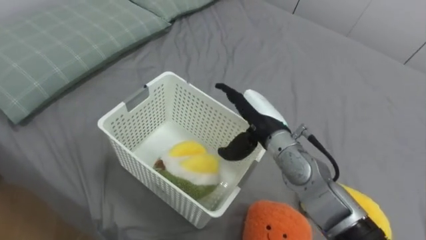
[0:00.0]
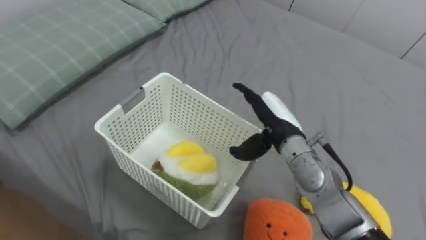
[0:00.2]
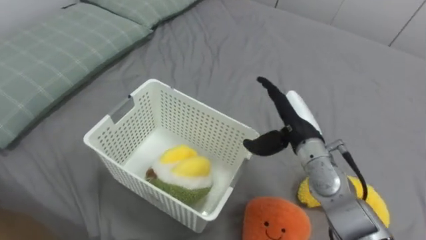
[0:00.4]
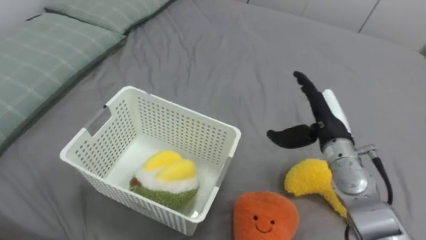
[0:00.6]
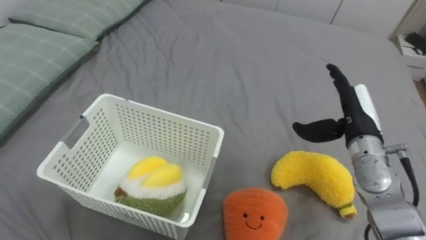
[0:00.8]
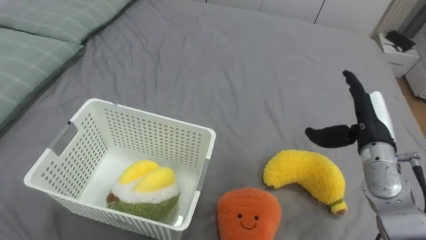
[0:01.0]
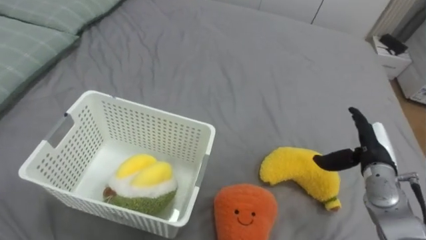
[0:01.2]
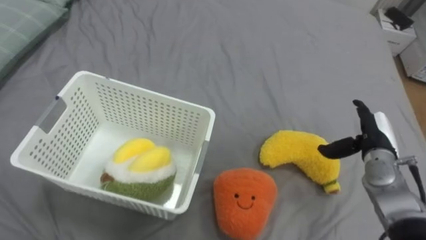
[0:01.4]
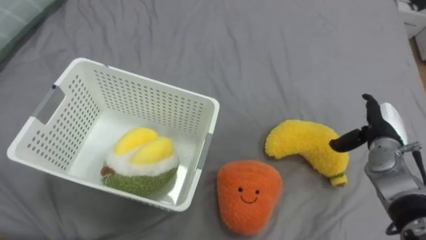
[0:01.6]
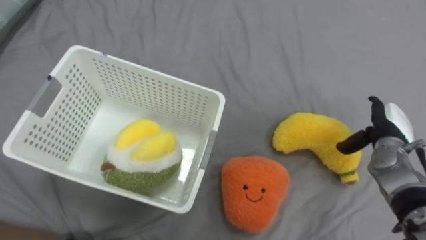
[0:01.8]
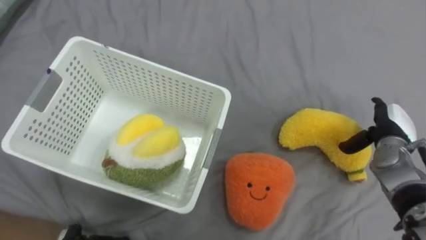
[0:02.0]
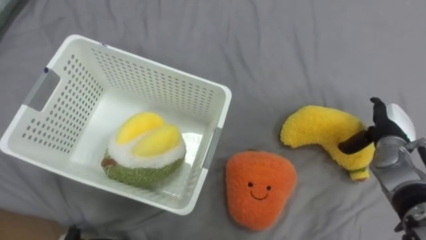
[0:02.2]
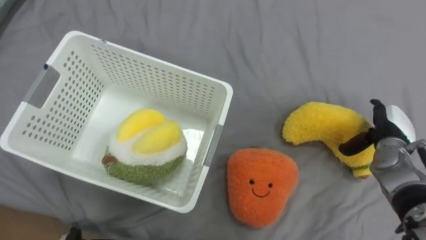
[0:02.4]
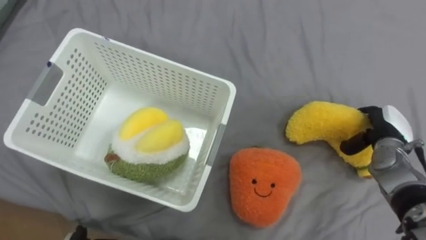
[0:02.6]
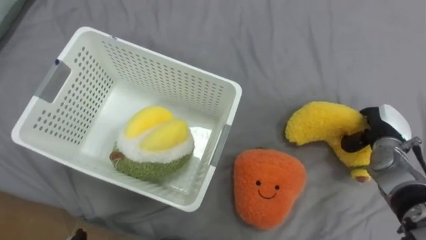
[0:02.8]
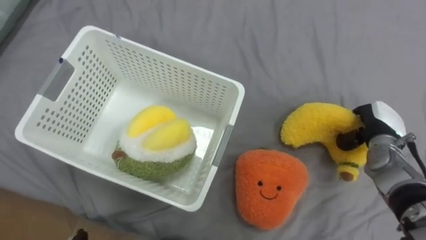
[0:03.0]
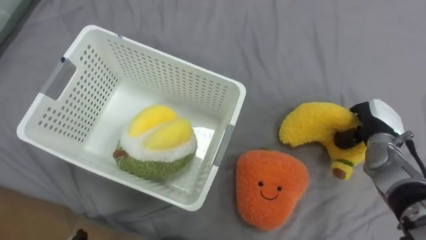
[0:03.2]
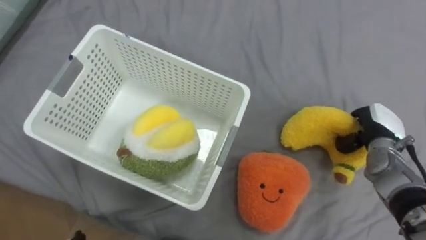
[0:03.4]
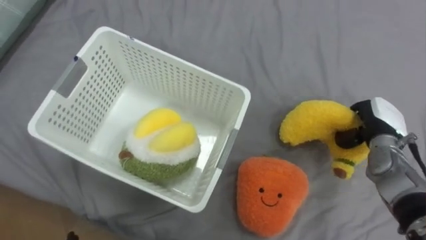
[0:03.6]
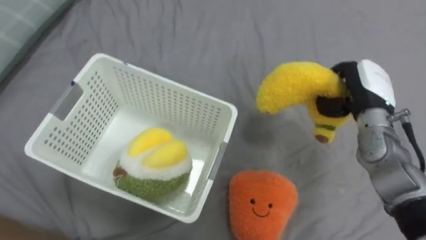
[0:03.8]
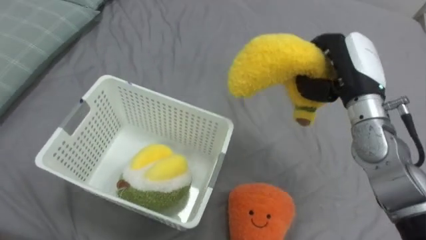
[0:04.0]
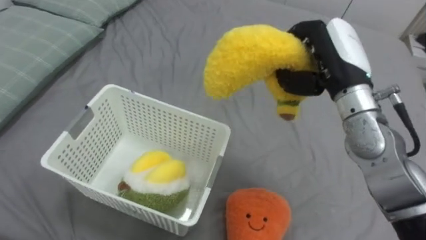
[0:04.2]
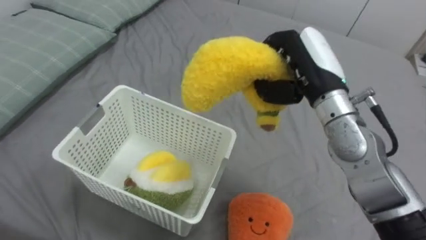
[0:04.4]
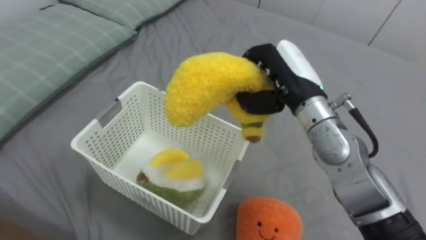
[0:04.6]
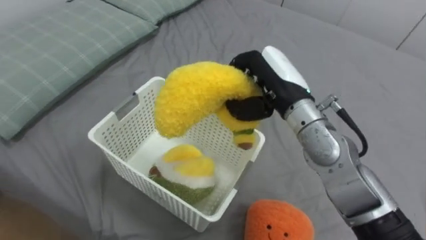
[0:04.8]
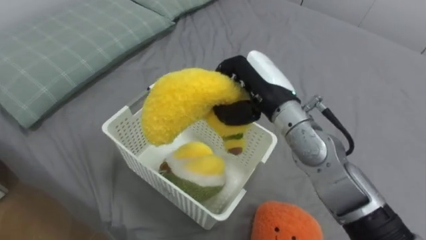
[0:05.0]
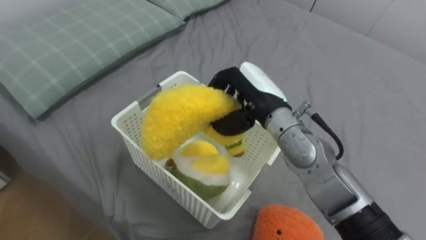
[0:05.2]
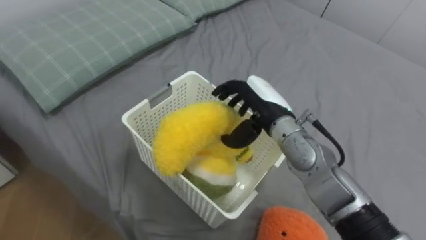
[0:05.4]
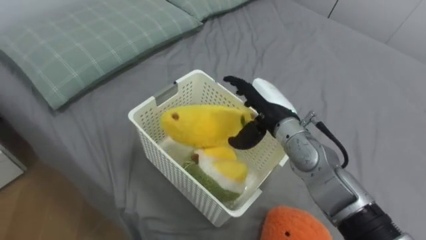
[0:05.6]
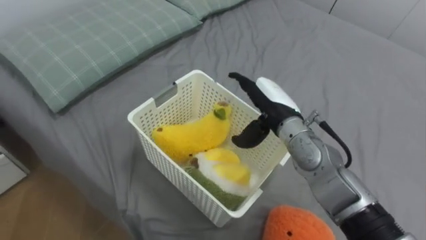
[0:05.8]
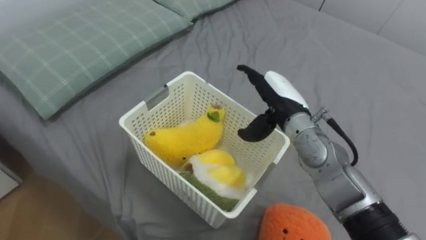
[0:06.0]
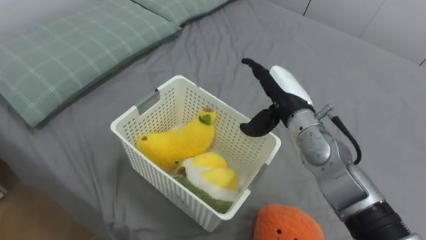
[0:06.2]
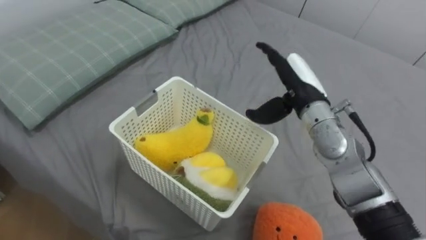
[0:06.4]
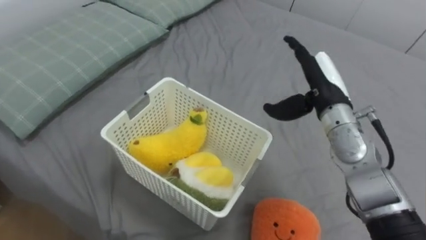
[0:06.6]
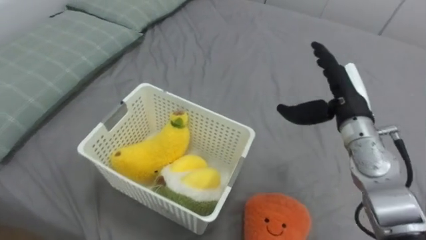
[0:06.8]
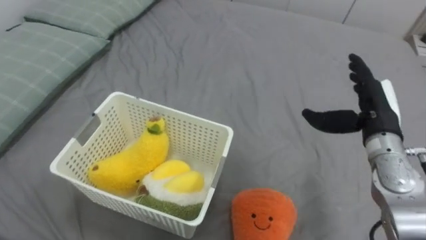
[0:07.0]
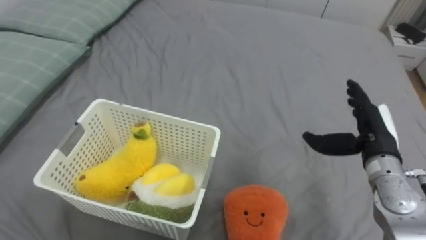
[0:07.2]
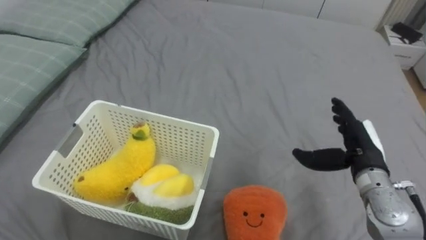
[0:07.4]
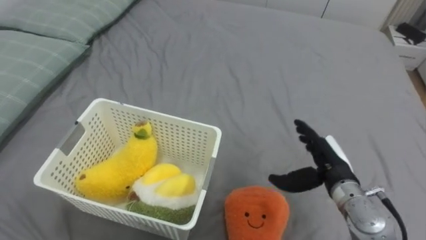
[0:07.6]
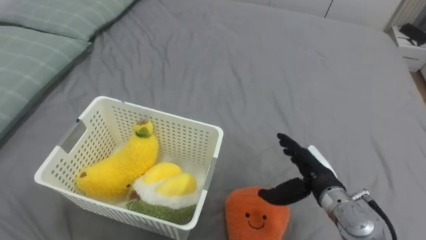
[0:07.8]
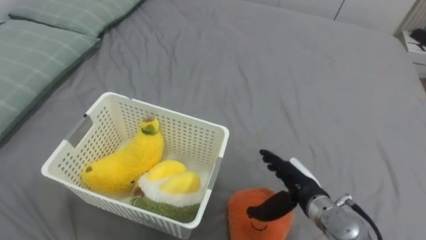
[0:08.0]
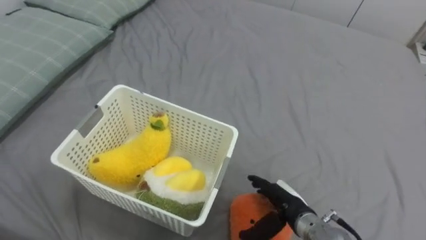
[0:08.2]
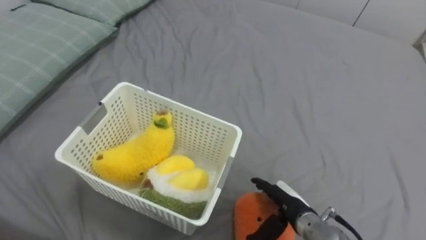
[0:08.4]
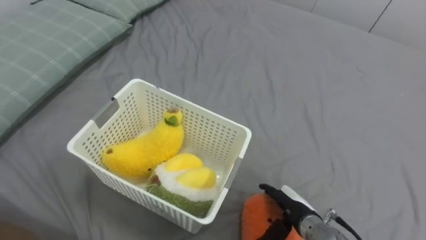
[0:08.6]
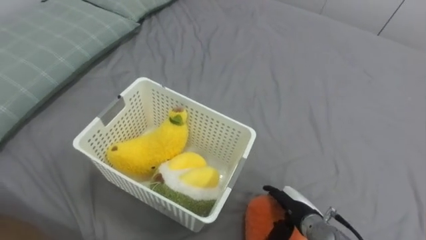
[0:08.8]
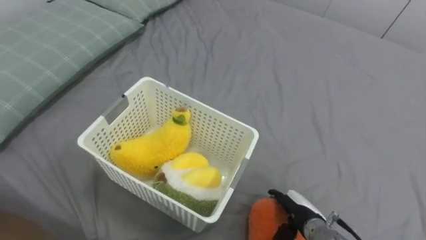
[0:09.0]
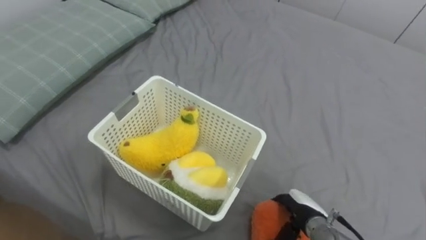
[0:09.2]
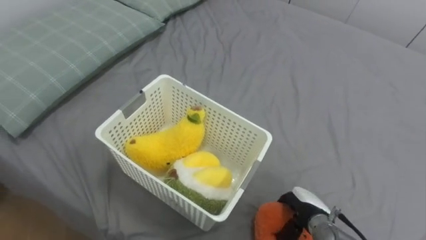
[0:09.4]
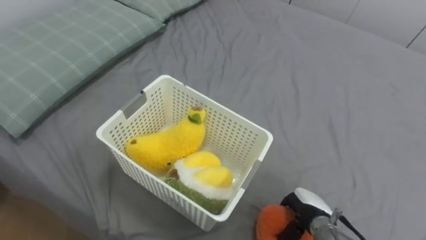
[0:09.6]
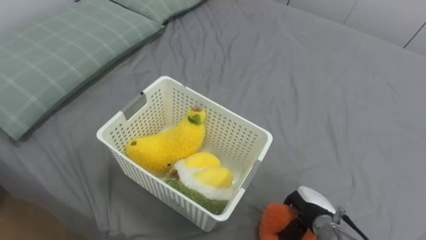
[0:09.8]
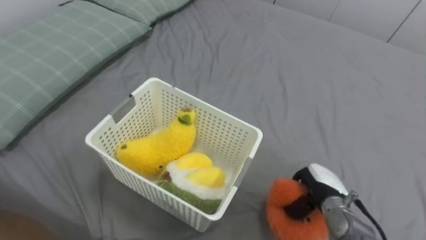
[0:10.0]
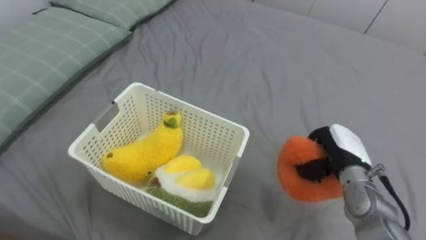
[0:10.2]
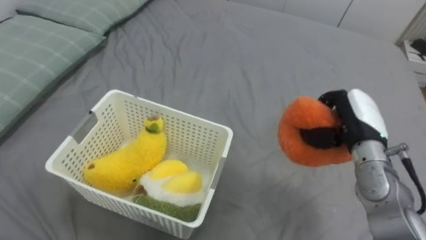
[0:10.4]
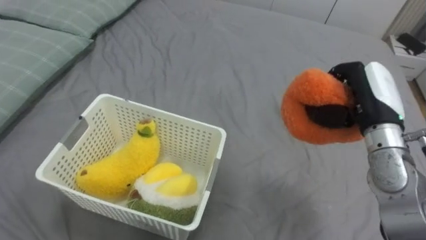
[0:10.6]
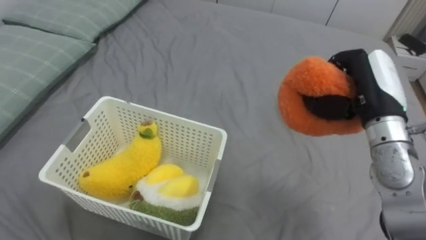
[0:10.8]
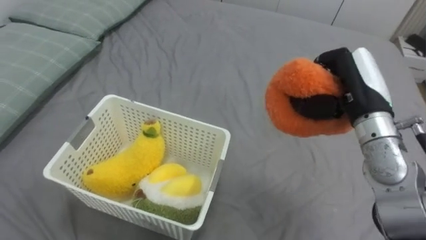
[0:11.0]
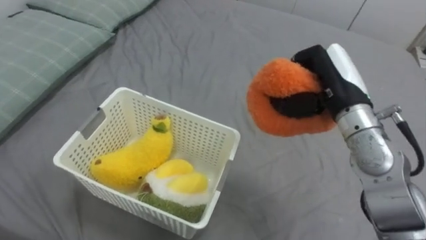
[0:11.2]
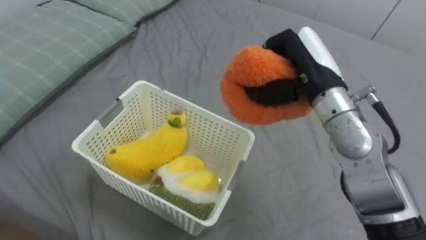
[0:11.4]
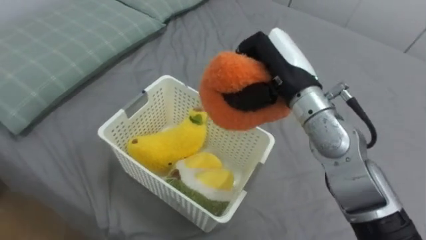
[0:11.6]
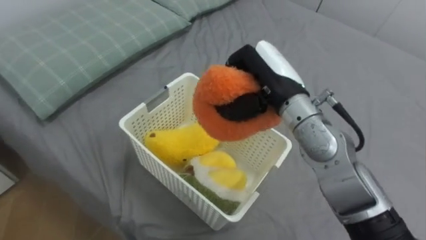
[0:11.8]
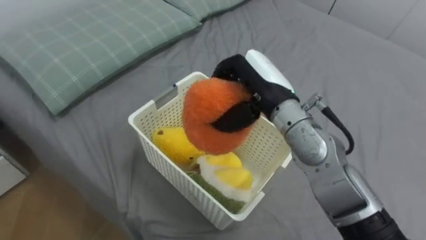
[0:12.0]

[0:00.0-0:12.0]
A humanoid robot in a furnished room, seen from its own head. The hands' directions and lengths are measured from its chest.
Task of the whole recording: Put the toys on the bed into the basket on the left.
0:00.0 to 0:01.6: The right hand moves to the right, roughly 25 cm.
0:01.6 to 0:03.0: The right hand closes its fingers.
0:03.0 to 0:04.4: The right hand heads to the left and upward, covering approximately 25 cm.
0:04.4 to 0:06.0: The right hand moves downward, approximately 10 cm, and opens its fingers.
0:06.0 to 0:07.6: The right hand shifts about 15 cm to the right, downward and backward.
0:07.6 to 0:09.0: The right hand shifts approximately 15 cm downward and backward.
0:09.0 to 0:10.4: The right hand goes approximately 20 cm upward and forward, and closes up.
0:10.4 to 0:12.0: The right hand goes some 20 cm to the left and upward.

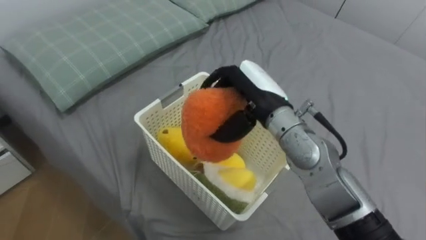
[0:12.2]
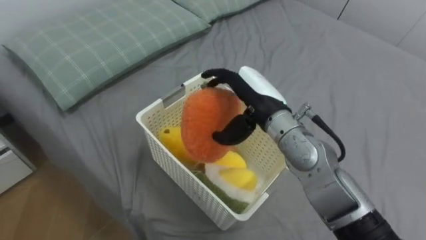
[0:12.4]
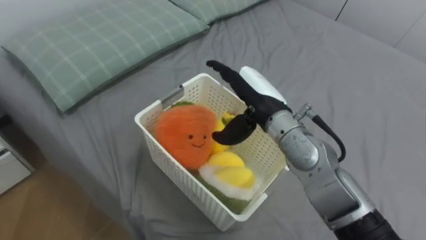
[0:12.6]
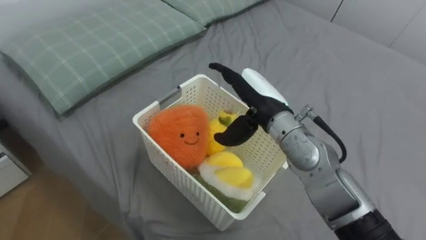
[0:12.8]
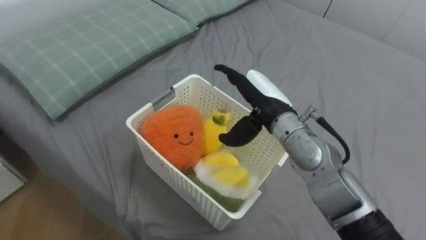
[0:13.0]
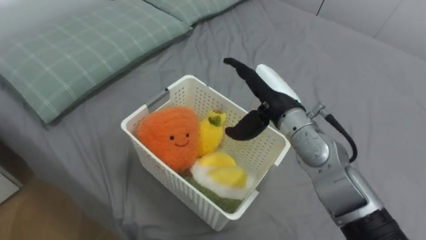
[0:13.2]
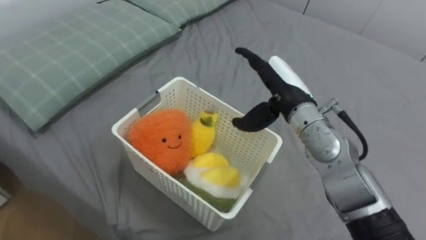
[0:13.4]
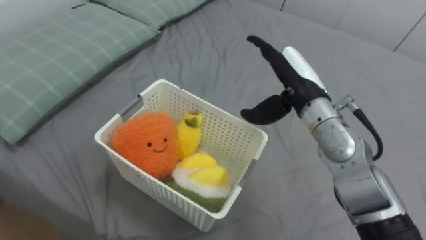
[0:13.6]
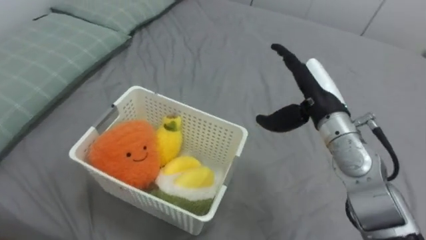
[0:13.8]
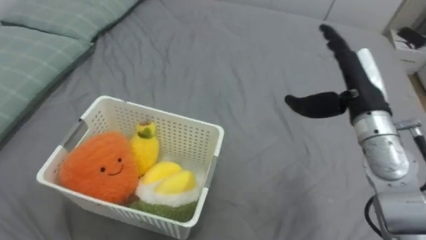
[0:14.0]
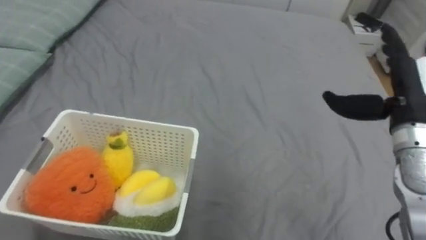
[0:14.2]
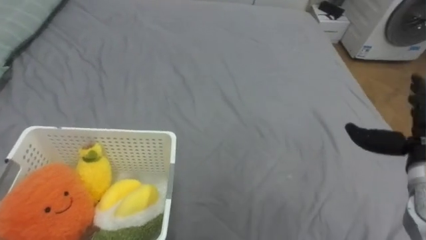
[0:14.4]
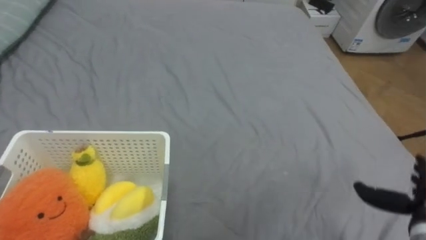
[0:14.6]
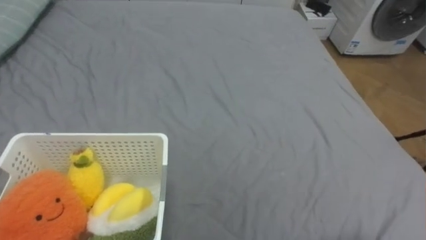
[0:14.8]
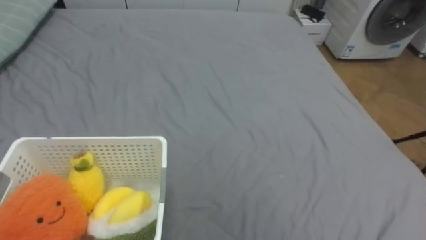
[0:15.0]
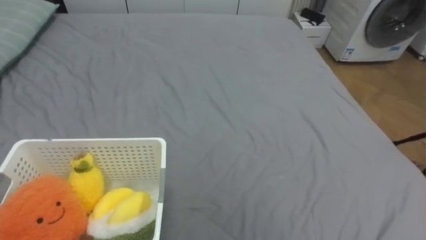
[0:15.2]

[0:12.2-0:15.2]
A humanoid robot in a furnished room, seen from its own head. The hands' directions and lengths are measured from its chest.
Task of the whole recording: Put the toys on the bed into the basket on the left.
0:12.2 to 0:13.8: The right hand goes about 10 cm to the right, and opens.

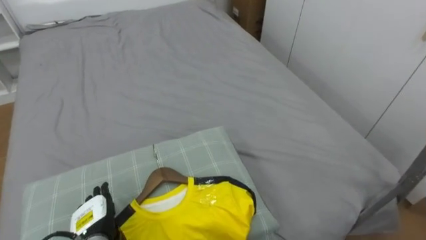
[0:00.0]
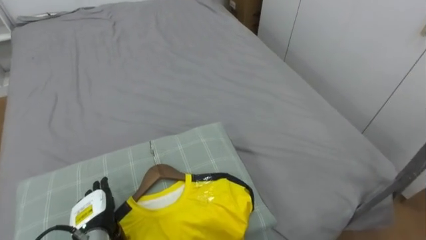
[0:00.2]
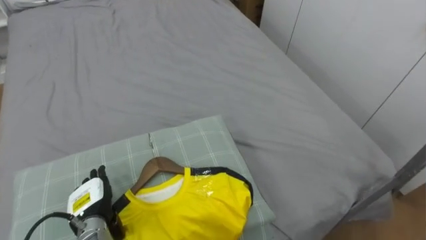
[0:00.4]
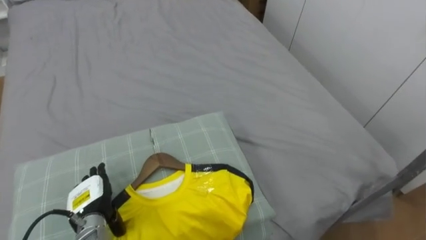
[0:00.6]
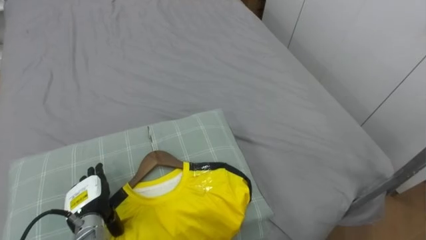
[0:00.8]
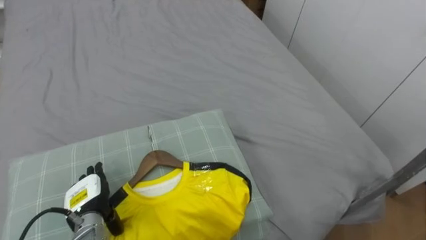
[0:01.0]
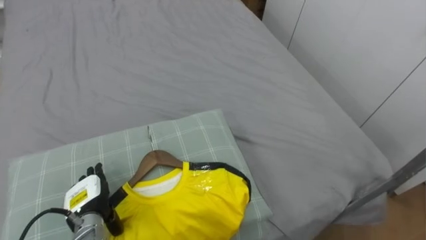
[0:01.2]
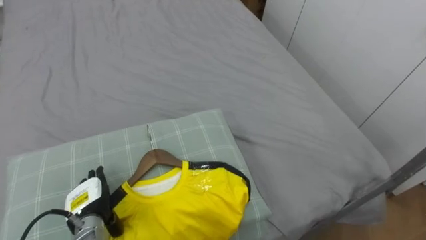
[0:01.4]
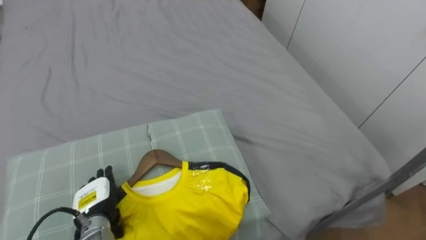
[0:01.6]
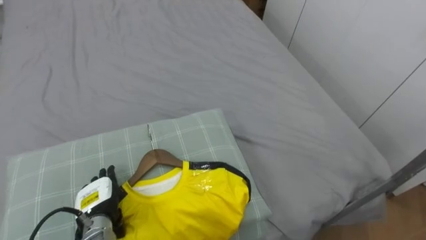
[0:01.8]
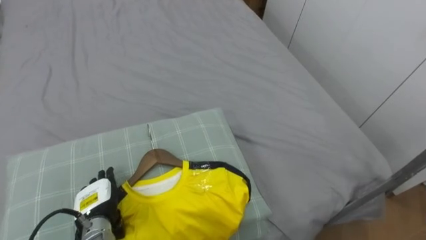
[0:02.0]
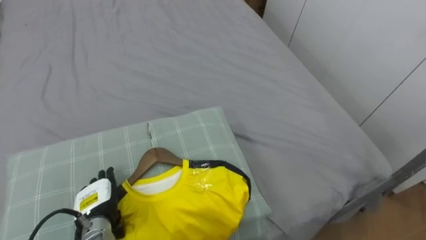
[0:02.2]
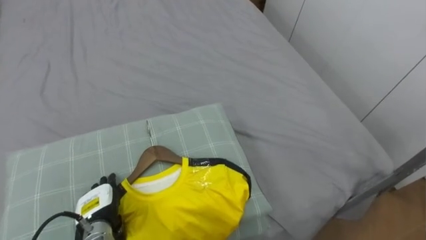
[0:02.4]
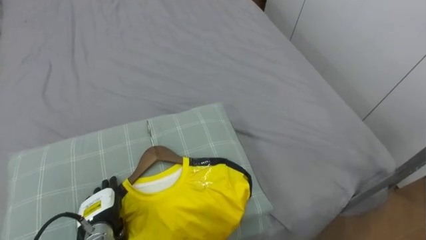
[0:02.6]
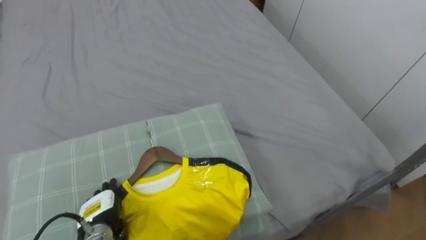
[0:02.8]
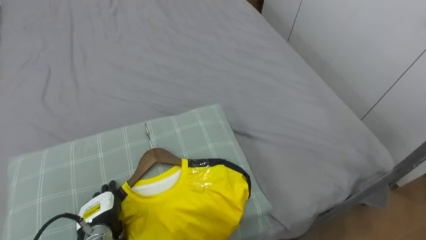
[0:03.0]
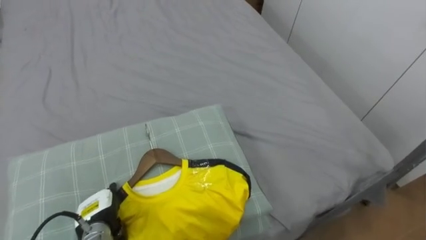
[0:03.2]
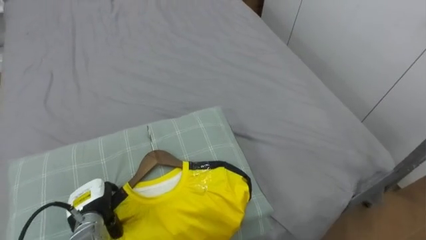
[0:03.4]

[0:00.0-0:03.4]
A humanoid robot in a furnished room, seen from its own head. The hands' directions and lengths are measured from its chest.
Task of the whole recording: Pick up the yellow shirt on the bed and hang it on the clothes rack on the right.
0:01.6 to 0:03.4: The left hand closes its fingers.
